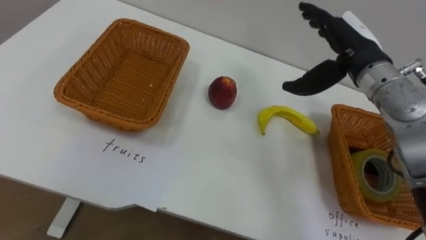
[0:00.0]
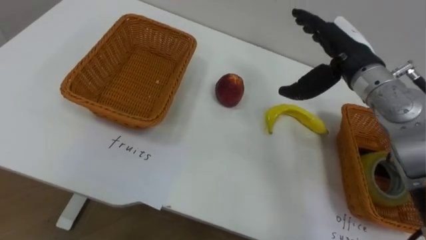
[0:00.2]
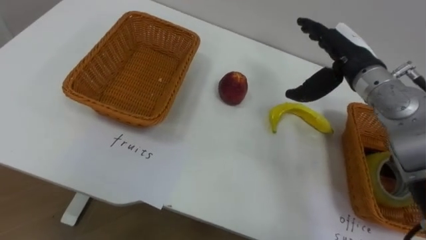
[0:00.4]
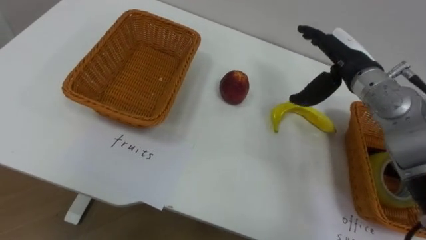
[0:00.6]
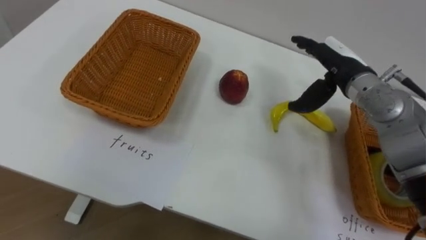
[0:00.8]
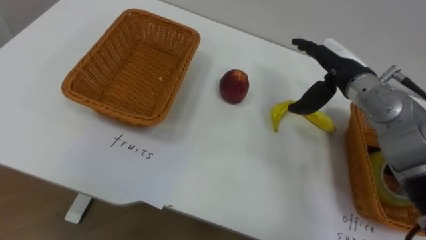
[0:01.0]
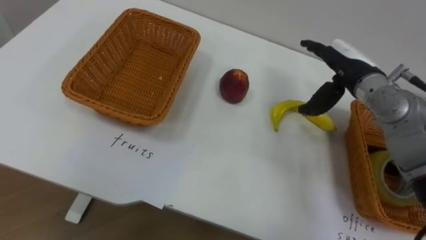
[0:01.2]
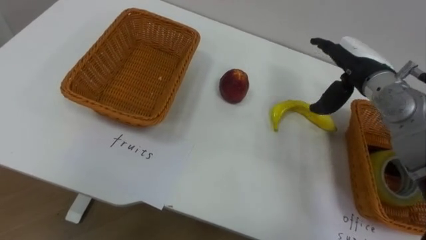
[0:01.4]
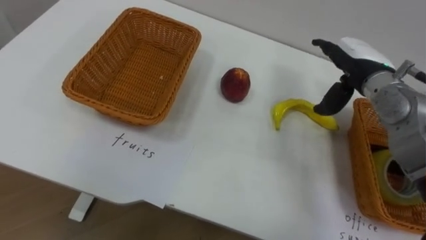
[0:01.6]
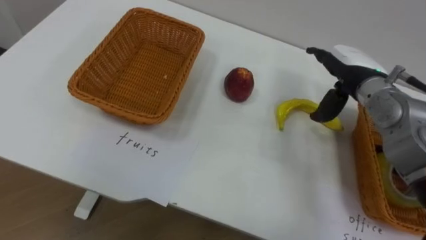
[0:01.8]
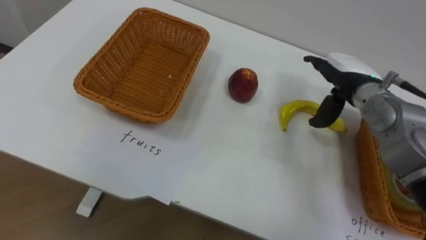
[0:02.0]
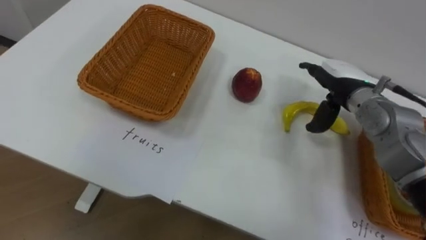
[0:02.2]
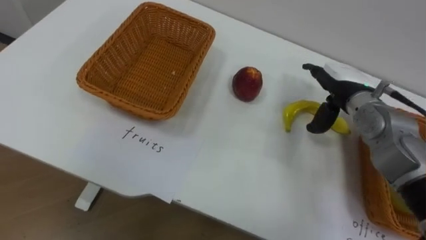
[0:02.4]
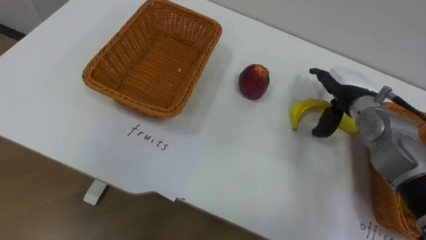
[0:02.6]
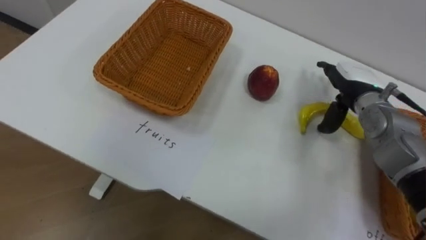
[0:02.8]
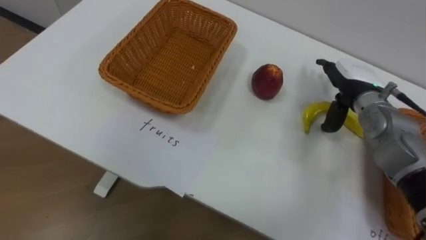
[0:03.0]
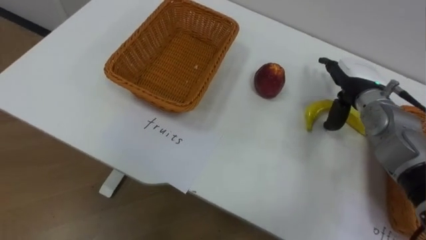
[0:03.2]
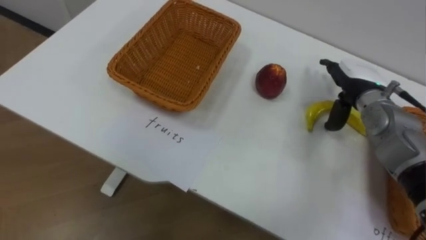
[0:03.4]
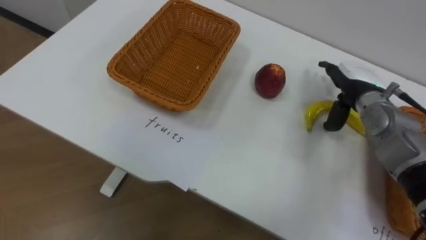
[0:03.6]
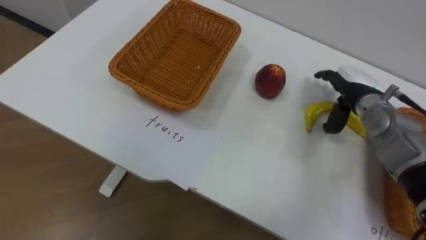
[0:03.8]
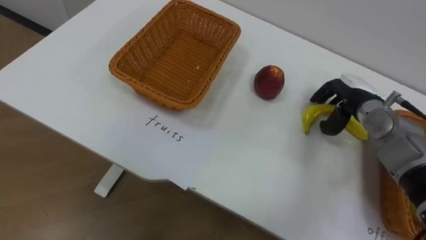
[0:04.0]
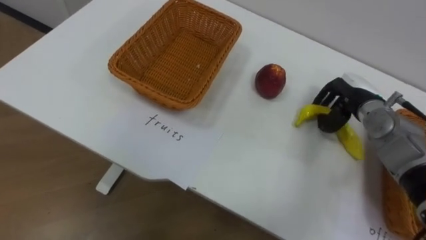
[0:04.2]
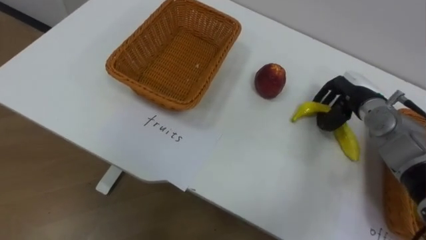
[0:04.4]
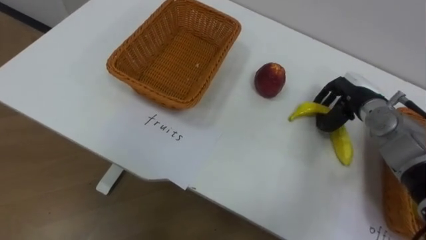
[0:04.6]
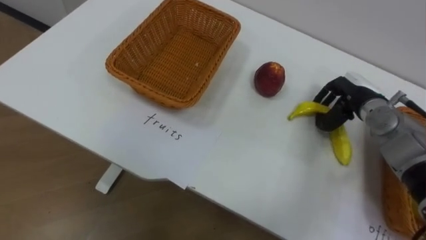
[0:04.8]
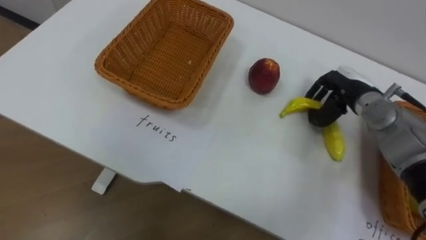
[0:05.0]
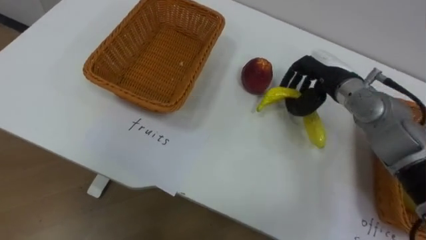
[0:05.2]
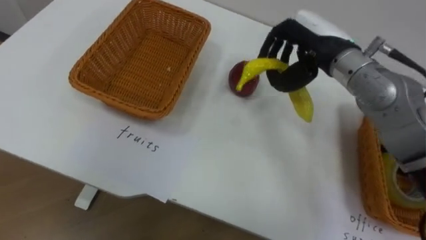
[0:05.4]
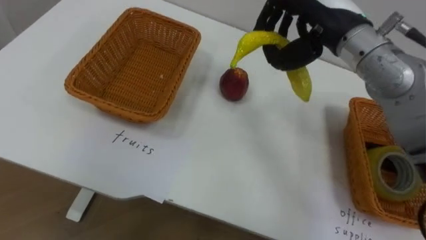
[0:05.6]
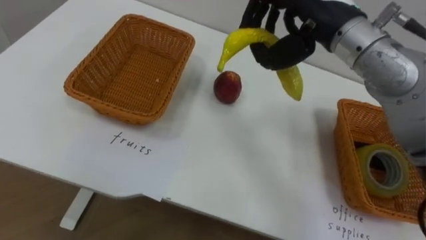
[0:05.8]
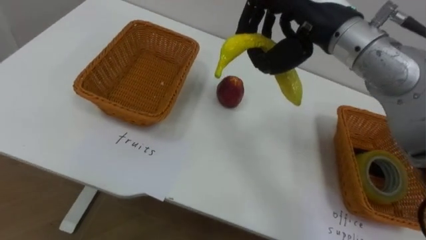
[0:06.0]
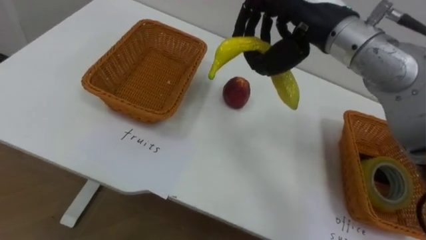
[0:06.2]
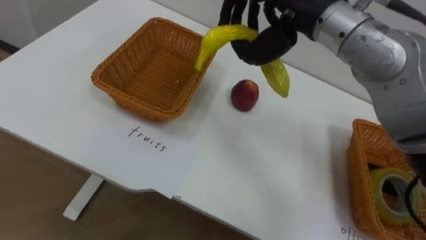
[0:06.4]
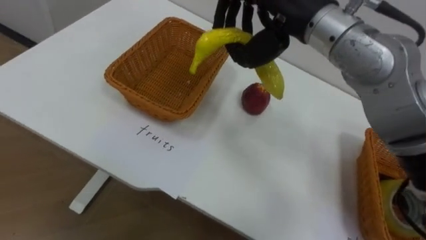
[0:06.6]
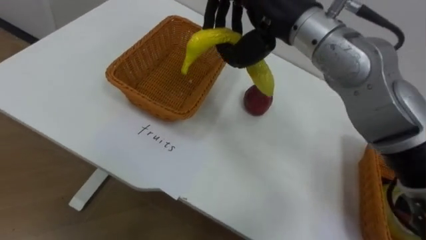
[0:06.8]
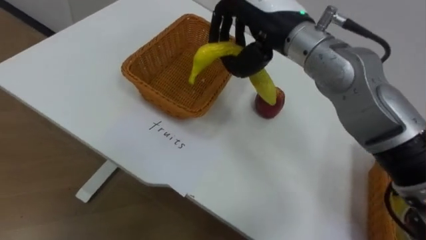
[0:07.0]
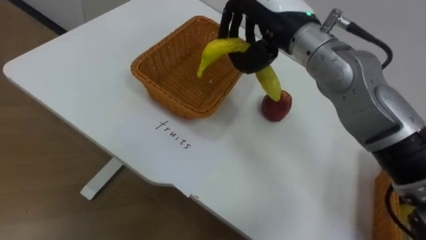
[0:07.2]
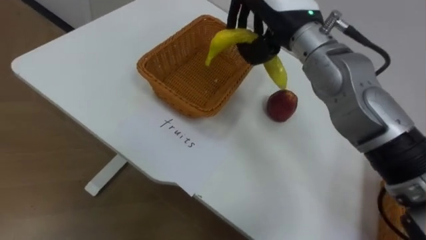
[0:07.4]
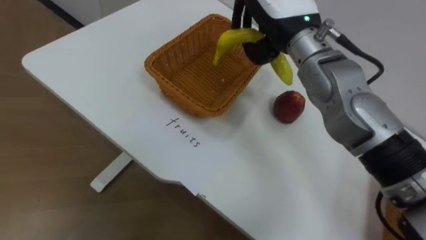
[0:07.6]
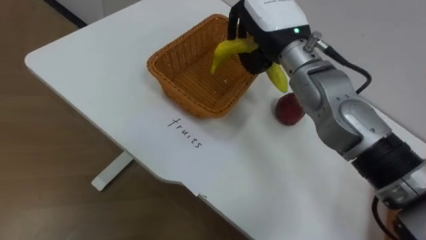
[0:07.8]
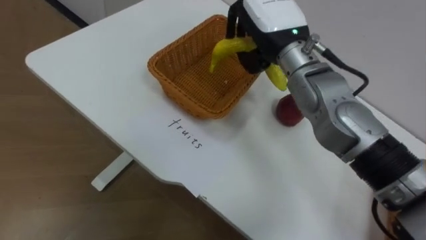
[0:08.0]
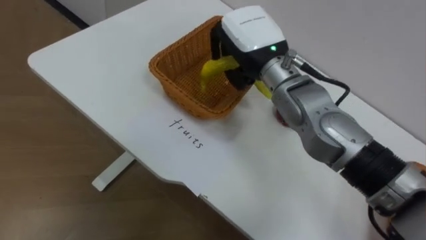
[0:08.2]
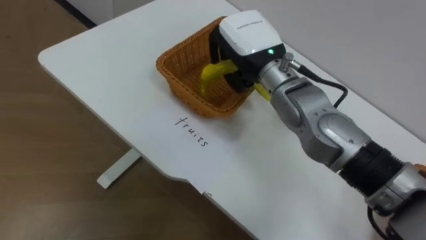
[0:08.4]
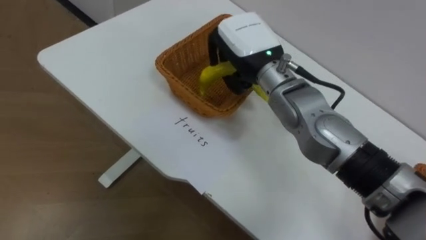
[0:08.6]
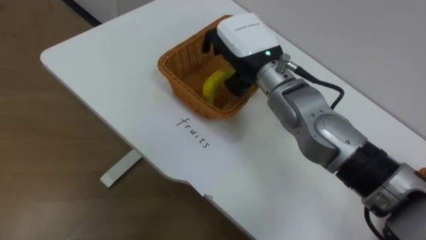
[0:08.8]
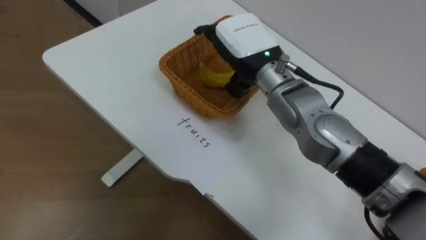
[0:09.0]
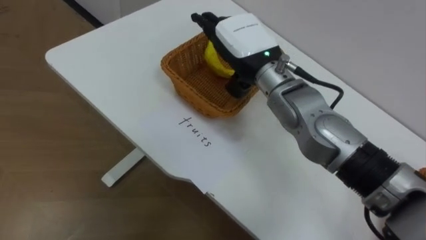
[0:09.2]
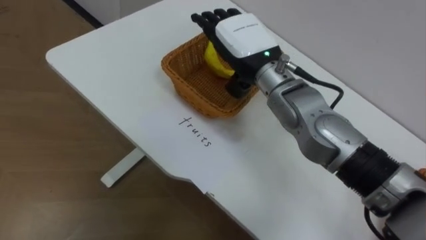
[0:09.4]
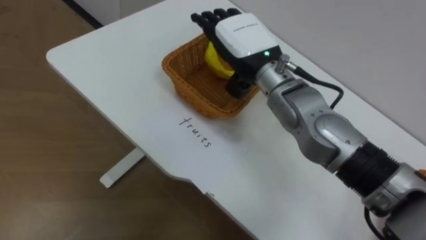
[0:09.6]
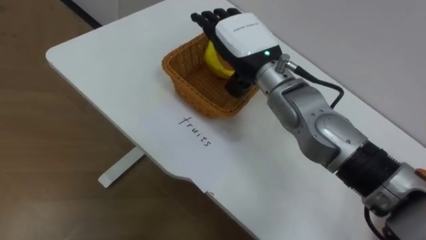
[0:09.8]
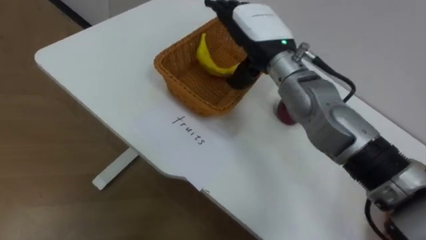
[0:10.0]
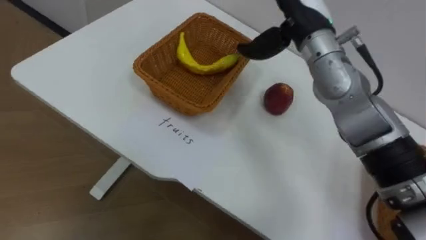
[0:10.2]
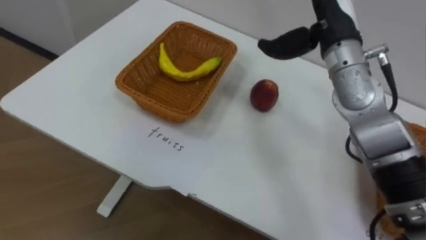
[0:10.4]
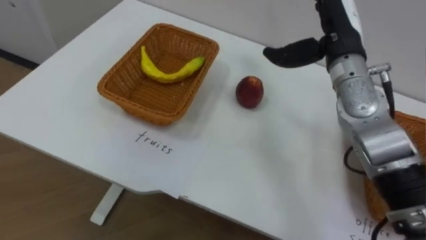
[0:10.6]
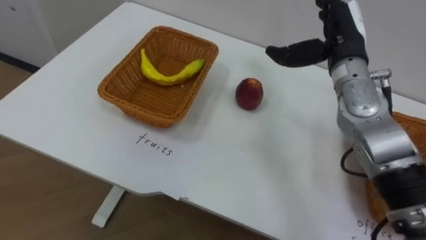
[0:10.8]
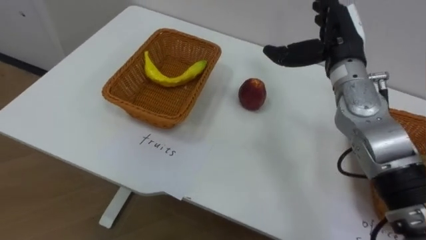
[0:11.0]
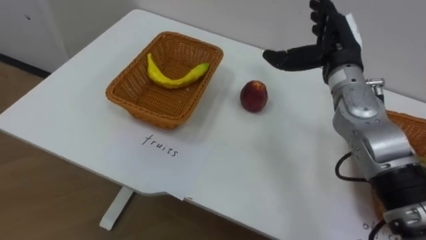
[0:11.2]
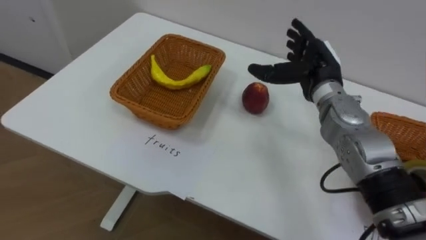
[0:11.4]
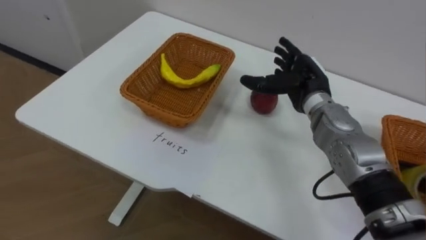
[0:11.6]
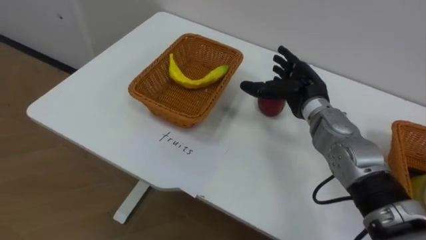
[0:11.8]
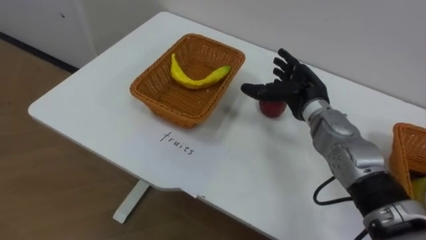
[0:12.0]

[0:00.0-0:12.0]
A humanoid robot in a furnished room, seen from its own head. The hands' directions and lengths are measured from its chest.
Task of the whole recording: Separate the items on the table and place them into the two baskets.
0:00.0 to 0:01.6: The right hand shifts by approximately 5 cm.
0:01.6 to 0:03.0: The right hand travels downward by about 5 cm.
0:03.0 to 0:04.4: The right hand closes up.
0:04.4 to 0:06.0: The right hand travels upward and to the left by roughly 25 cm.
0:06.0 to 0:07.6: The right hand changes place by some 5 cm.
0:07.6 to 0:09.0: The right hand travels downward by approximately 5 cm, and opens its fingers.
0:09.0 to 0:10.4: The right hand travels to the right by roughly 10 cm.
0:10.4 to 0:12.0: The right hand moves downward, some 15 cm.

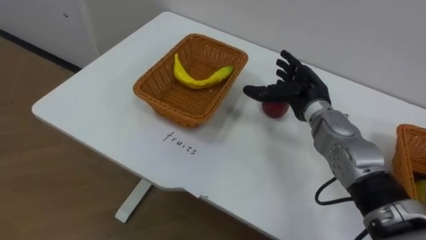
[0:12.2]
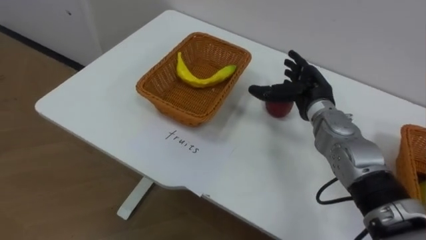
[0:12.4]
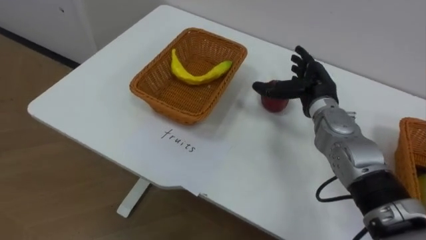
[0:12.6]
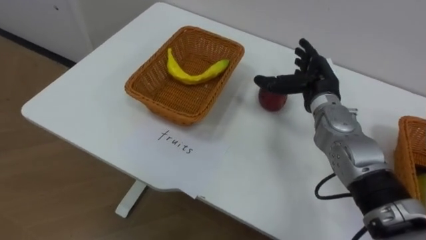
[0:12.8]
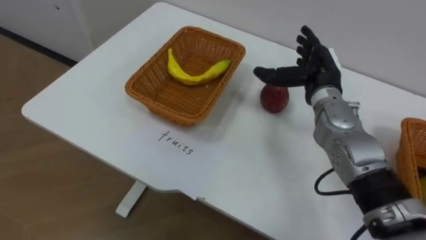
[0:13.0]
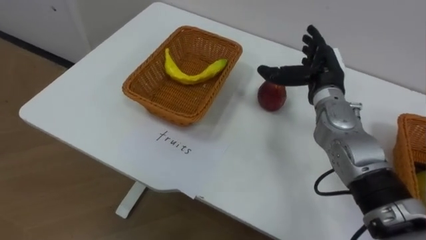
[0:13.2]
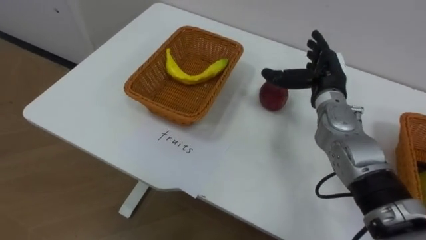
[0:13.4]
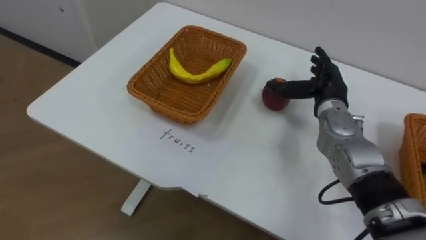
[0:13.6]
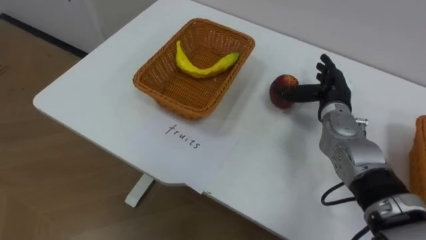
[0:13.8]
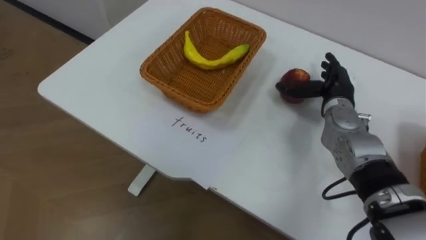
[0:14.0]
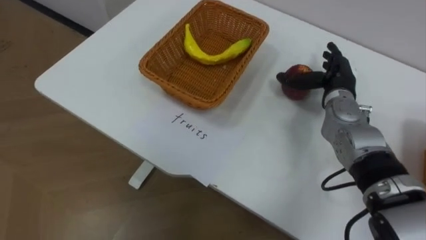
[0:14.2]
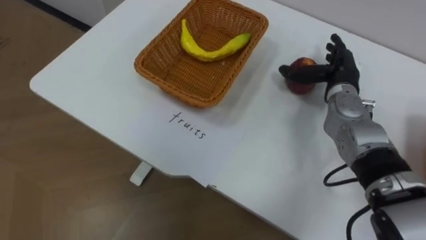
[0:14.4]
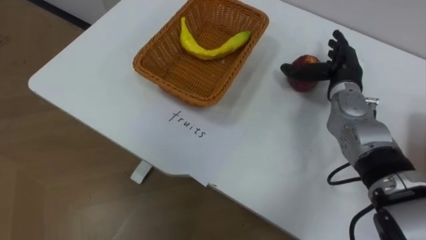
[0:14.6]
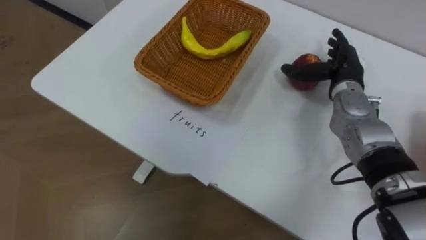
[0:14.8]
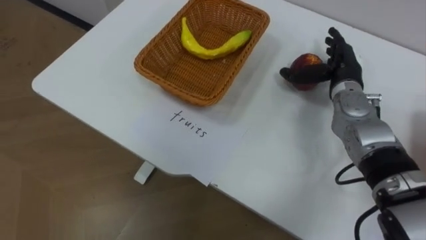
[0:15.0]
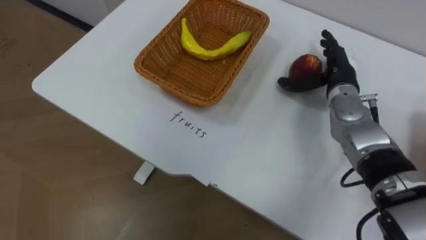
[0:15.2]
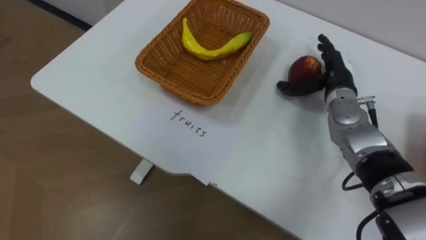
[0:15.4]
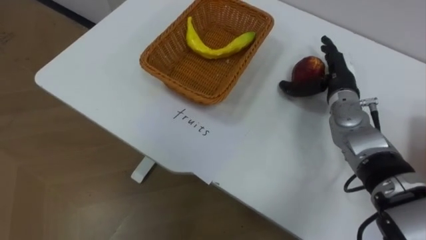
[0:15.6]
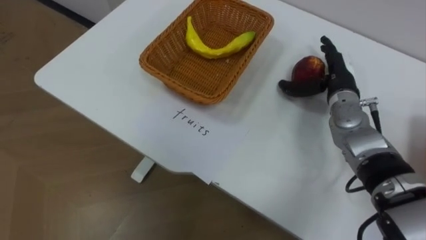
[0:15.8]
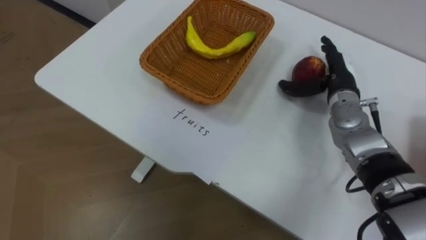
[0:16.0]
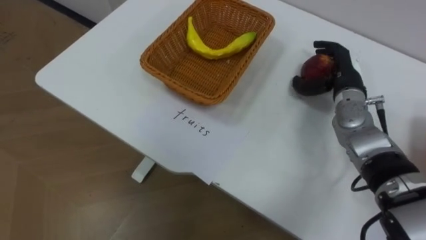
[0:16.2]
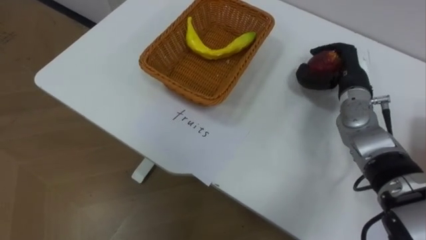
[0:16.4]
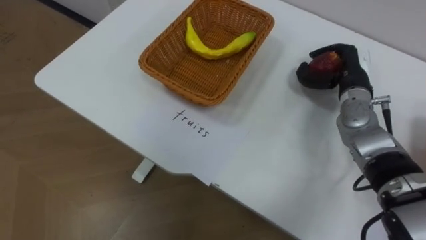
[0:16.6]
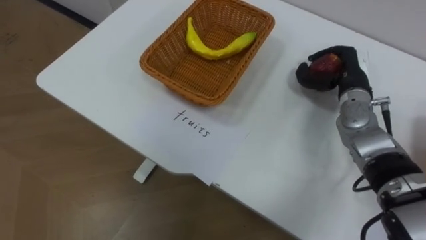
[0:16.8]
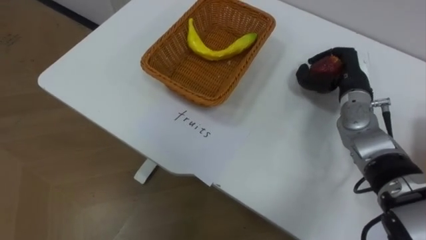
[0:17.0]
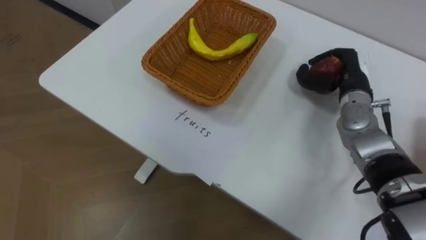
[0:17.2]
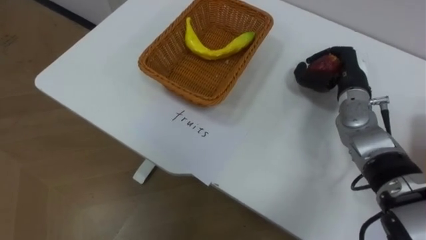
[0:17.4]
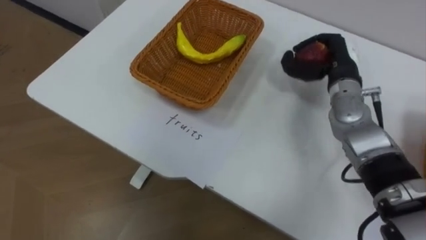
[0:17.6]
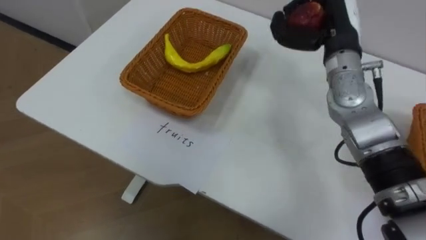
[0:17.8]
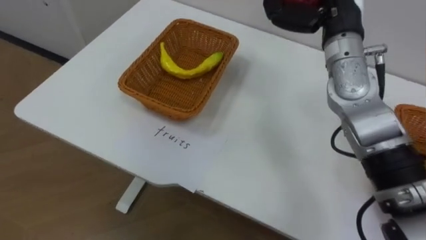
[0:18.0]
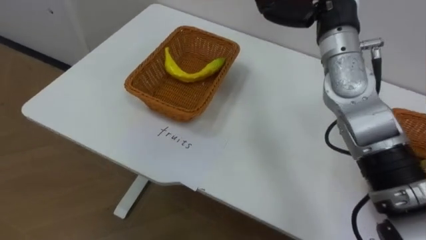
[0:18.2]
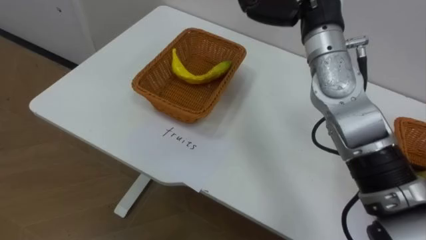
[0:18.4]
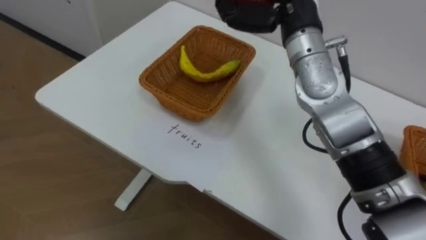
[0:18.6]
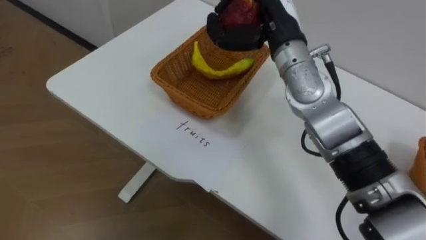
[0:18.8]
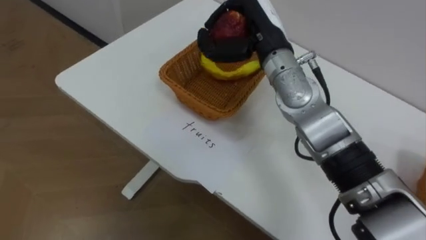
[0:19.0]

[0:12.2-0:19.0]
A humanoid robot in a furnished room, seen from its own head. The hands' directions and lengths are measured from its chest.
Task of the whole recording: Separate the items on the table and place them into the two baskets.
0:16.2 to 0:17.6: The right hand closes up.
